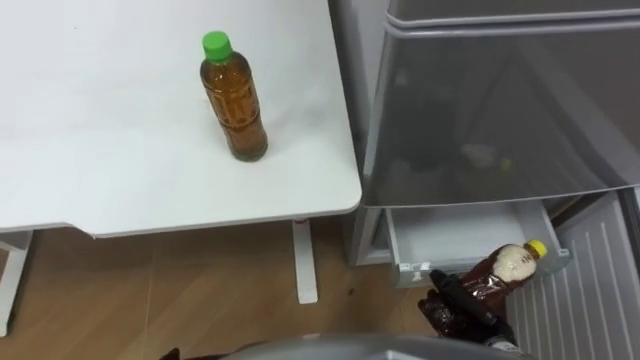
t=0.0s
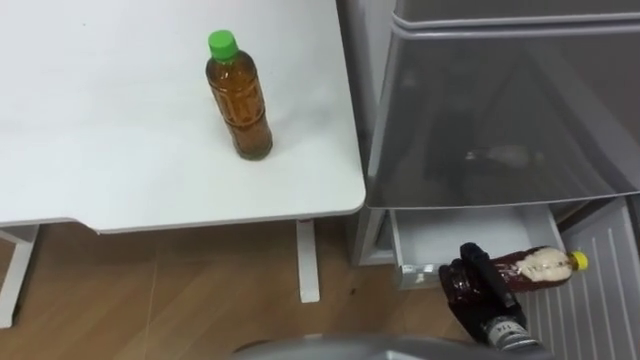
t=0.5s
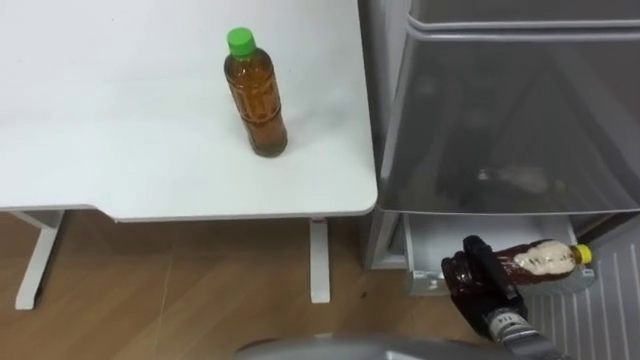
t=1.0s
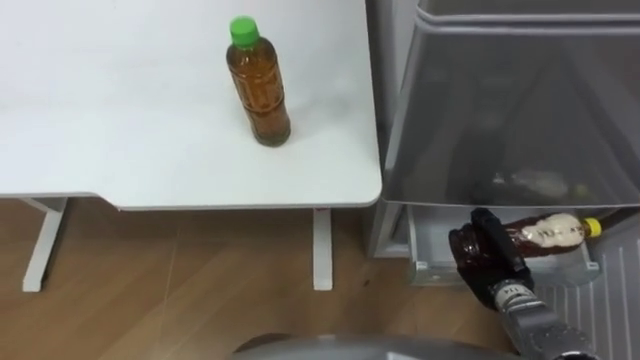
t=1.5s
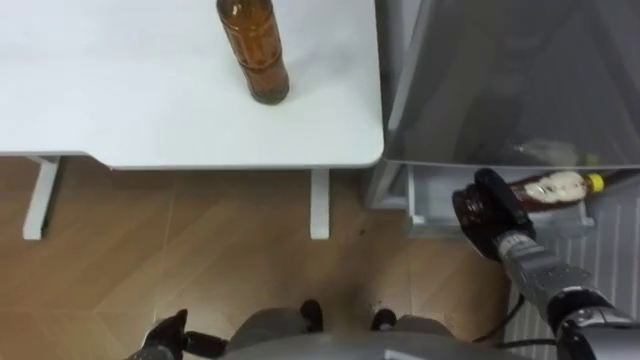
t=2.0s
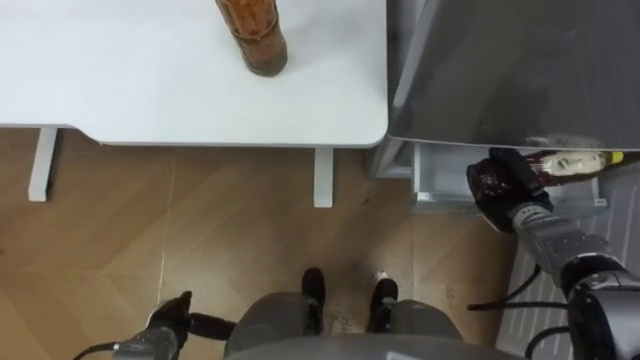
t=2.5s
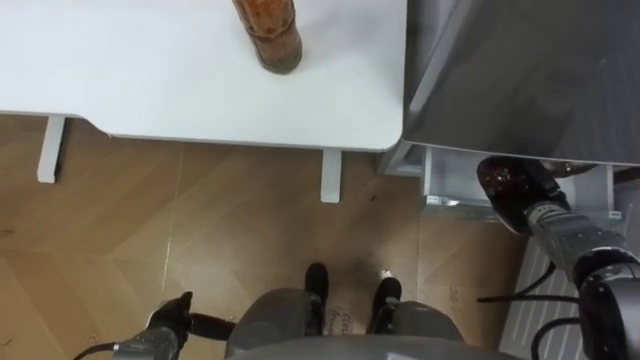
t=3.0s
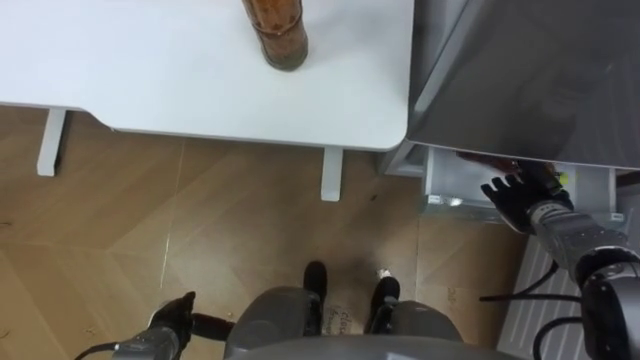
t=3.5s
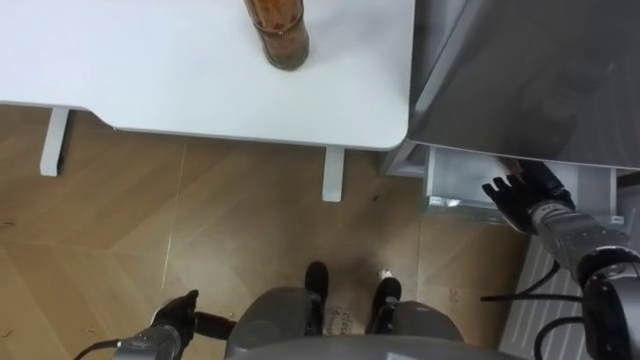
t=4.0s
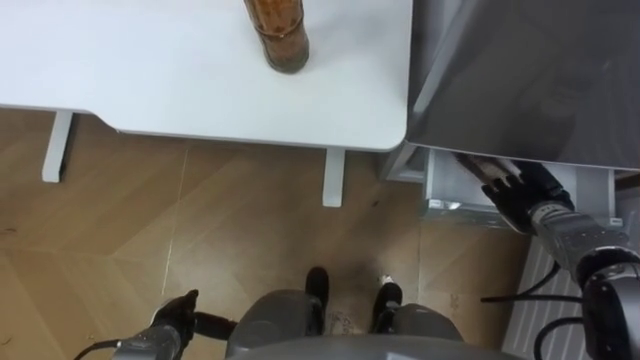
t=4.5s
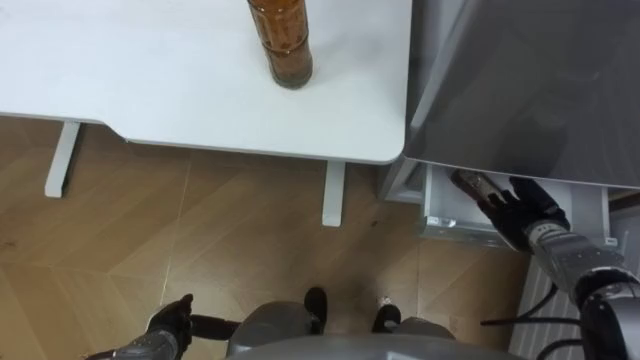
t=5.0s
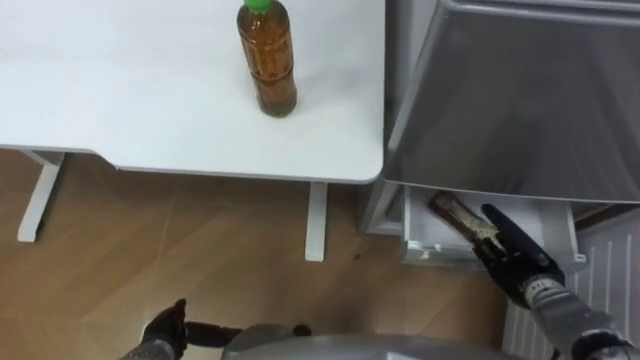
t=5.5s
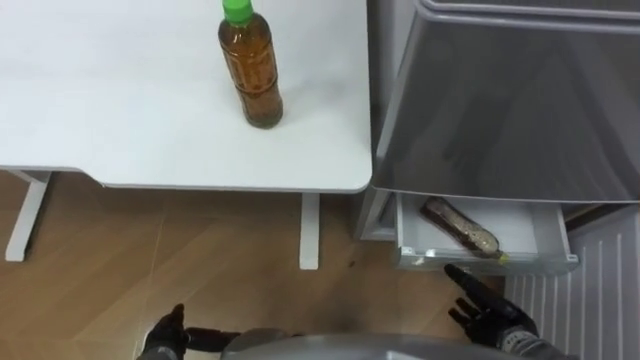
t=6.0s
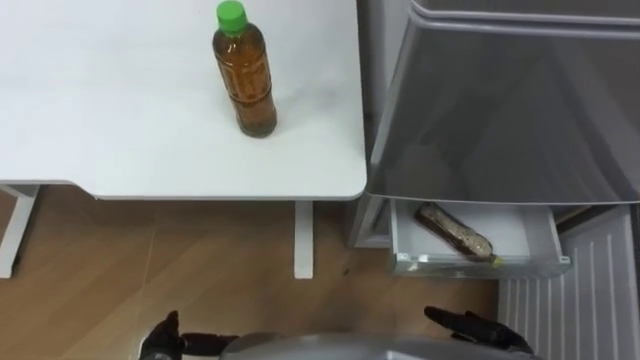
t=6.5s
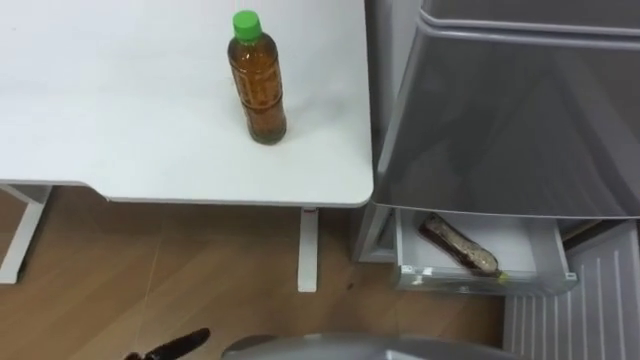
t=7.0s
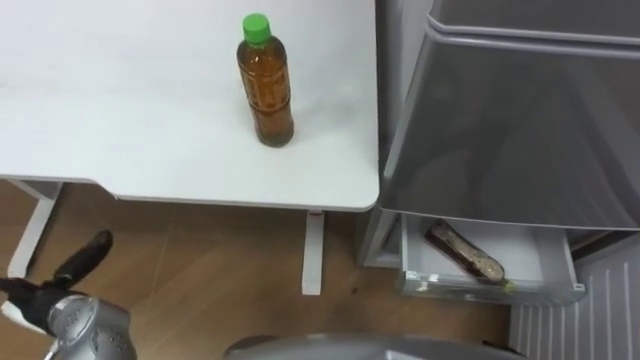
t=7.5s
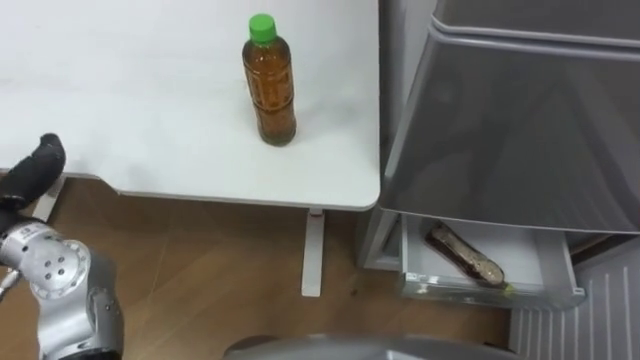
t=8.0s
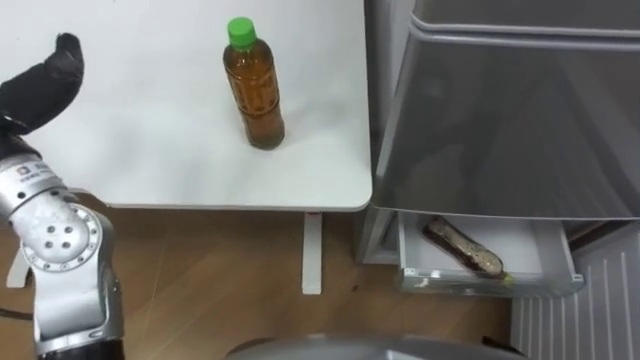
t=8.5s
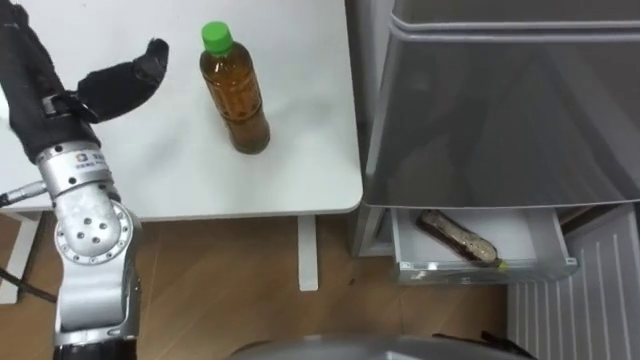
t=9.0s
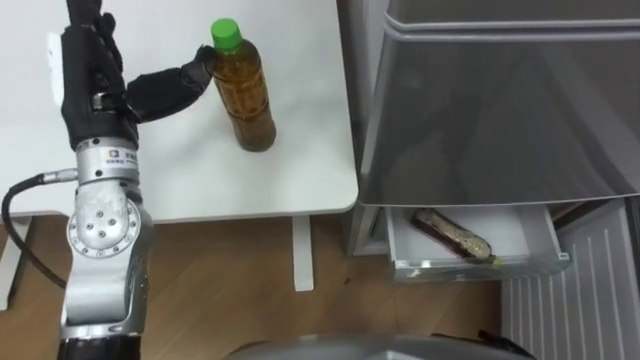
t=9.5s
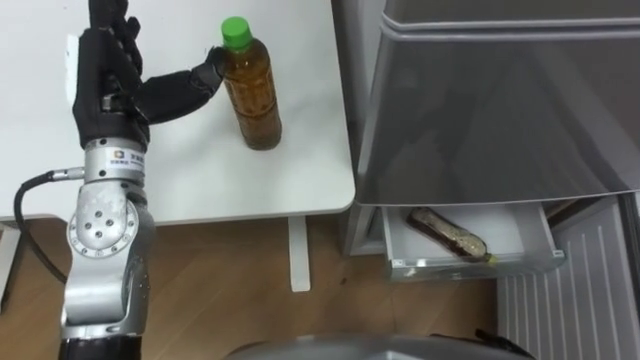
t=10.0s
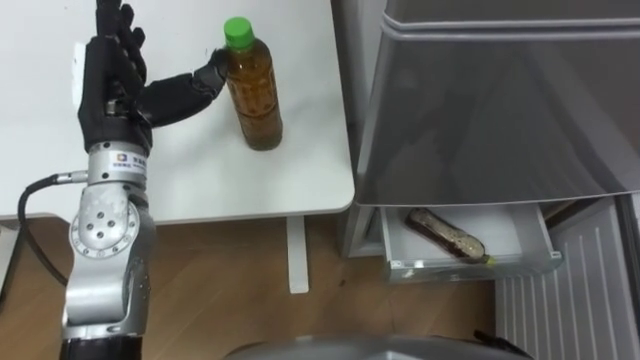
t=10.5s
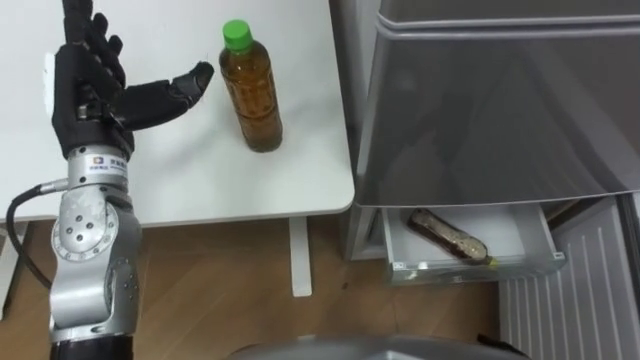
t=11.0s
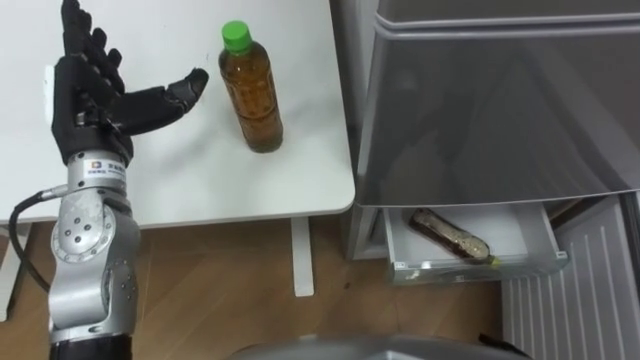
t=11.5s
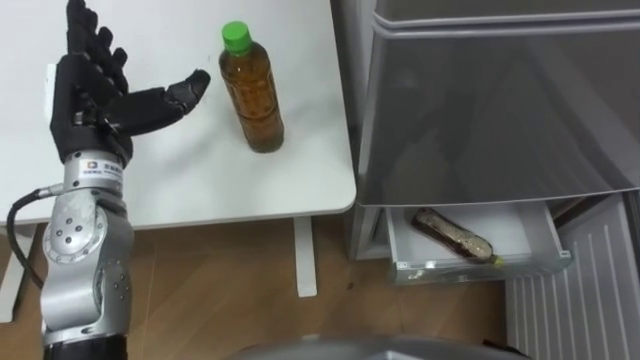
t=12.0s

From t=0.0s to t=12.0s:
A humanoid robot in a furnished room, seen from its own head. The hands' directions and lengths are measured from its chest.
Task of the whole recording: Place the drink on the table on the bottom shelf of the refrigerator, then close the drawer and the refrigerator door.
From t=0.0s to t=2.0s: The right hand moves forward, some 15 cm.
From t=2.0s to t=4.0s: The right hand moves approximately 5 cm, and opens.
From t=4.0s to t=6.0s: The right hand shifts about 20 cm backward and downward.

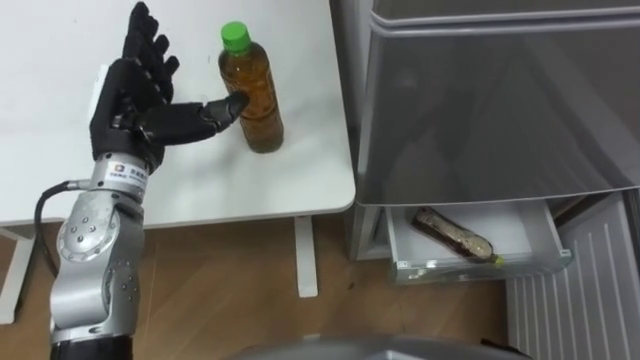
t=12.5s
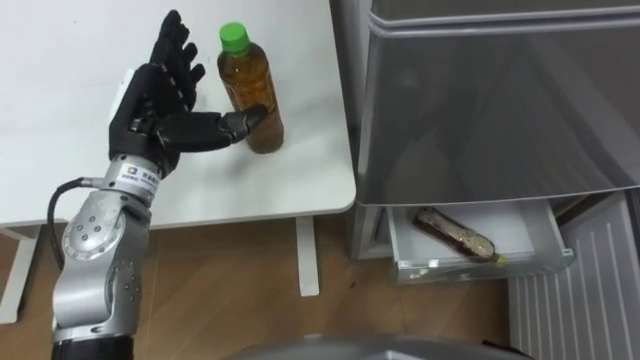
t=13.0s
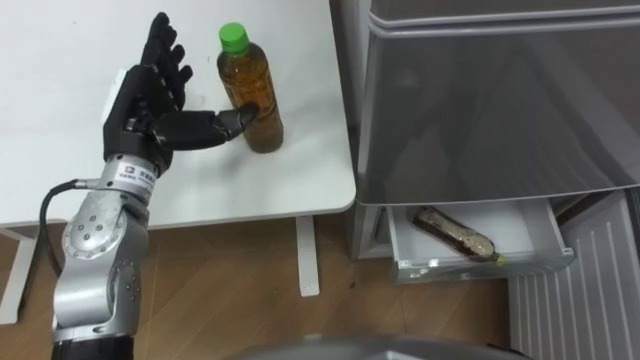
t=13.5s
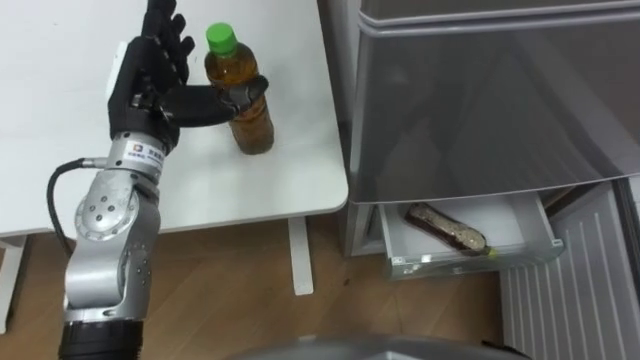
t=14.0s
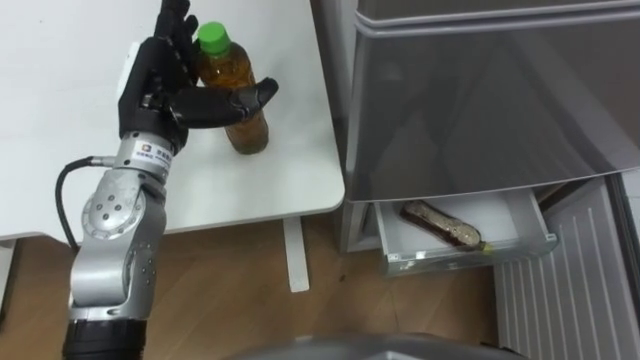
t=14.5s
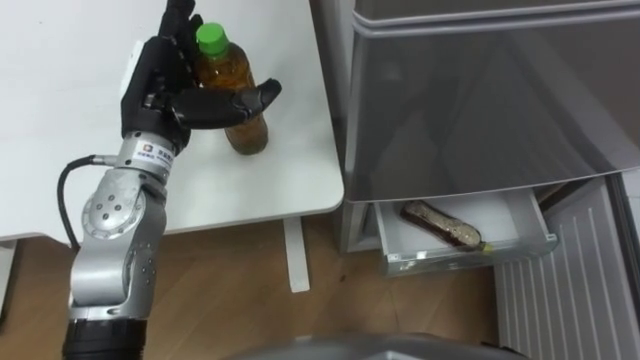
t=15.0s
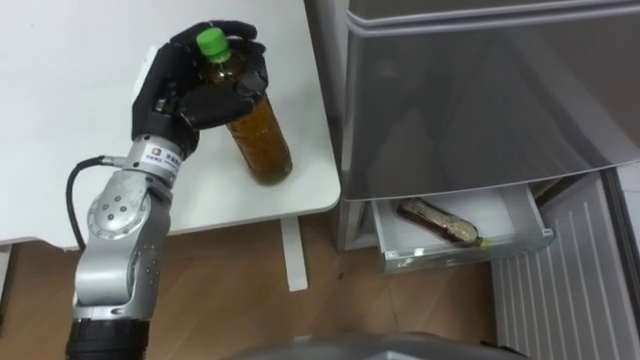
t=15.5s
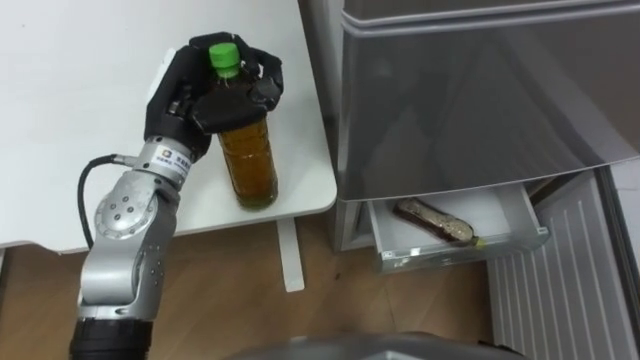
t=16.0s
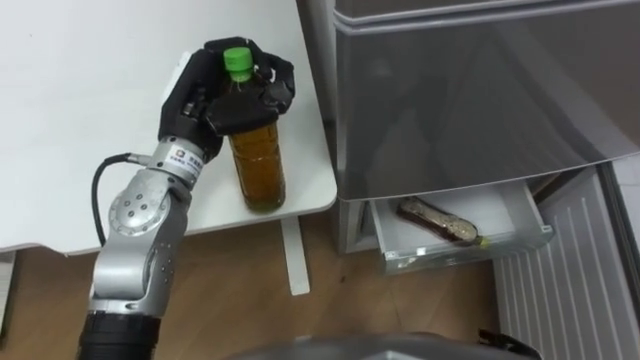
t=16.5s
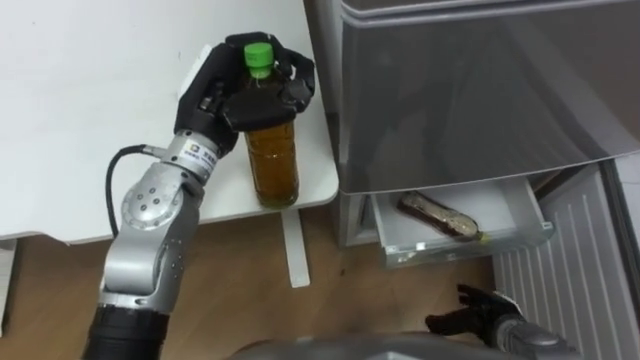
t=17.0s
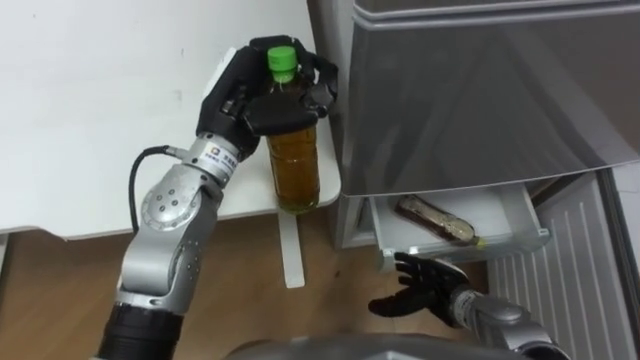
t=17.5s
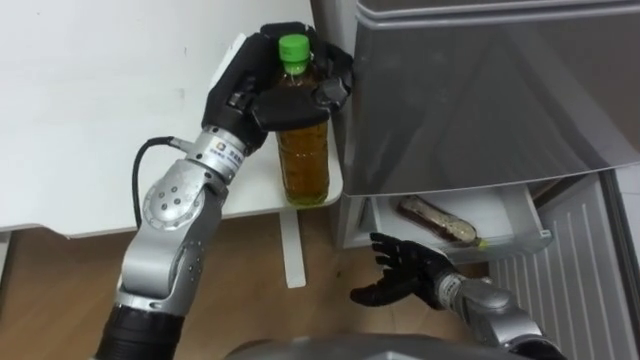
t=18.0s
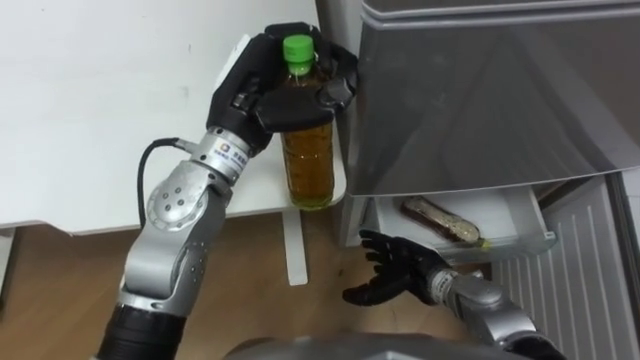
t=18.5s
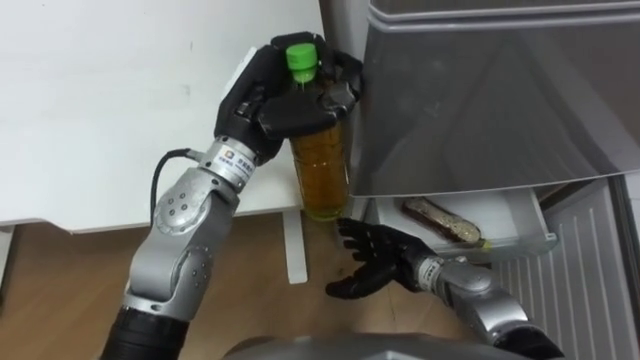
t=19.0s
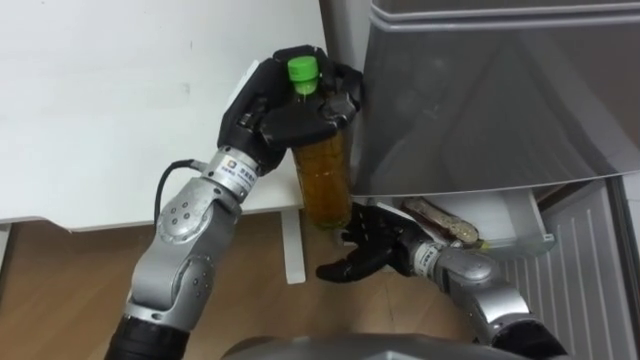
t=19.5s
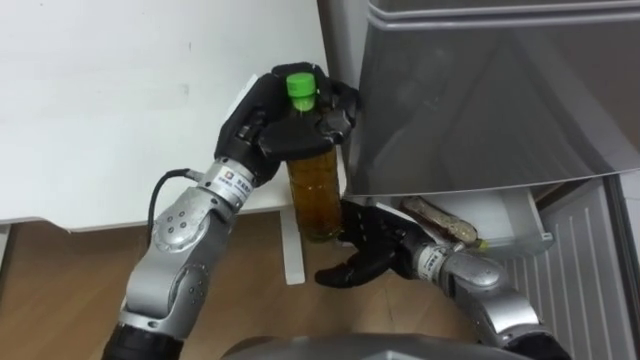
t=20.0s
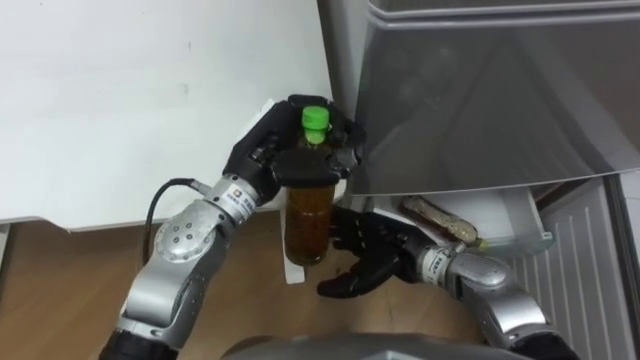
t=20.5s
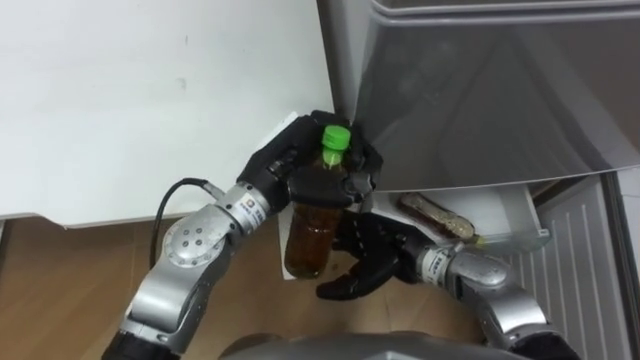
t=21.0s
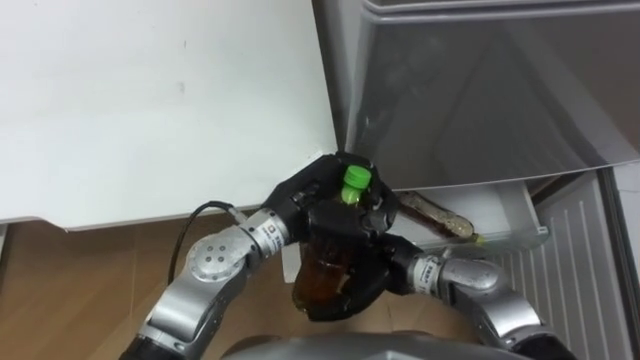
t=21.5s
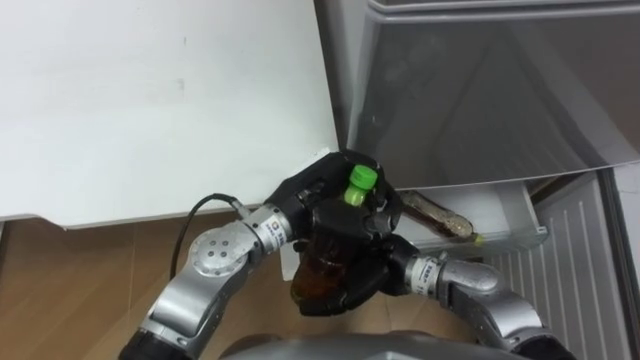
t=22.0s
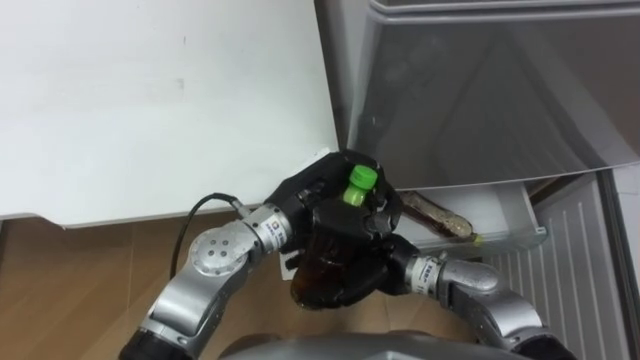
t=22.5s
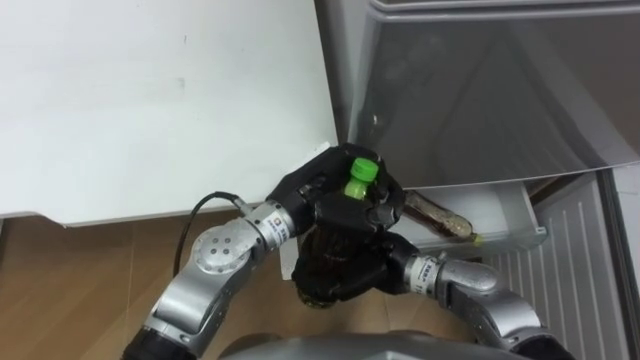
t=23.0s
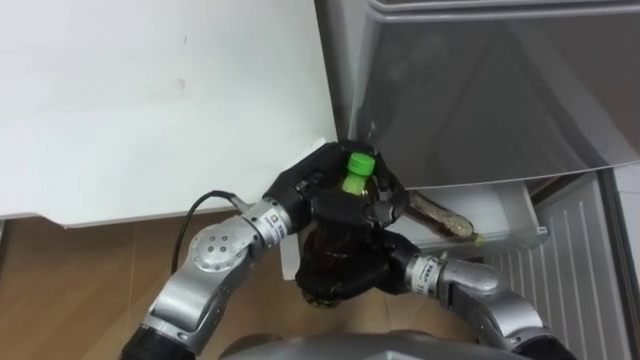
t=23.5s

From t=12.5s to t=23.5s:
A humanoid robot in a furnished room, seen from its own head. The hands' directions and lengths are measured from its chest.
Task of the whole recording: Place the drink on the table on the bottom shelf of the refrigerator, then close the drawer and the refrigerator door.
From t=14.5s to t=16.0s: The left hand closes its fingers.
From t=16.0s to t=18.0s: The left hand shifts approximately 5 cm to the right.
From t=18.0s to t=20.0s: The right hand heads upward and to the left, covering some 10 cm.
From t=20.0s to t=21.5s: The left hand is displaced downward by approximately 5 cm.
From t=21.5s to t=23.5s: The right hand closes its fingers.
